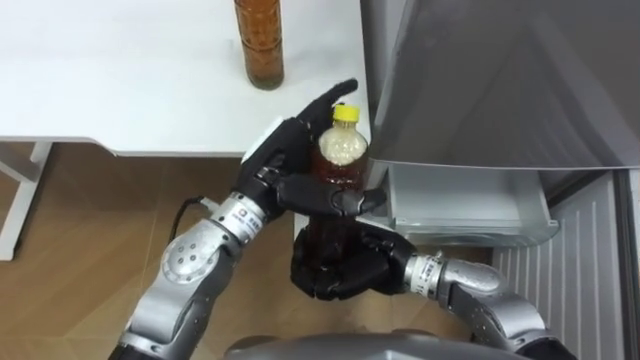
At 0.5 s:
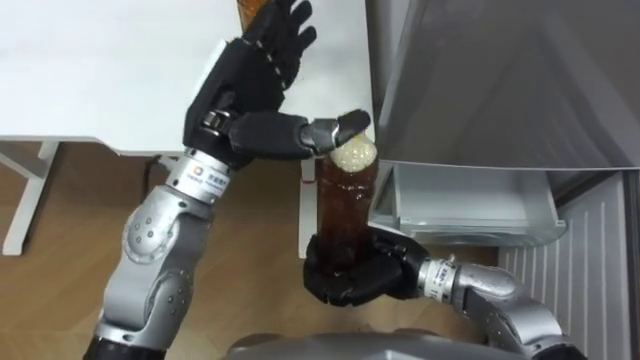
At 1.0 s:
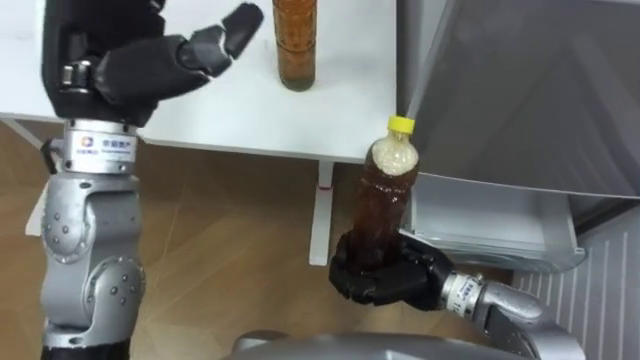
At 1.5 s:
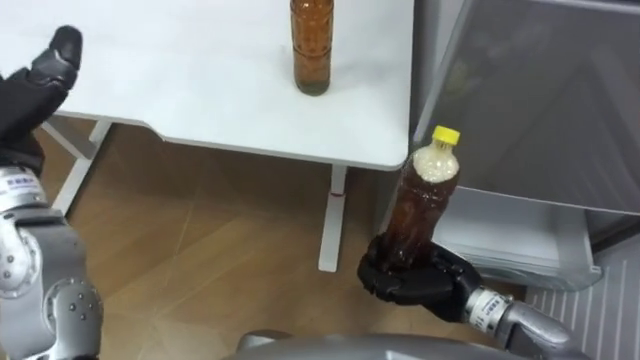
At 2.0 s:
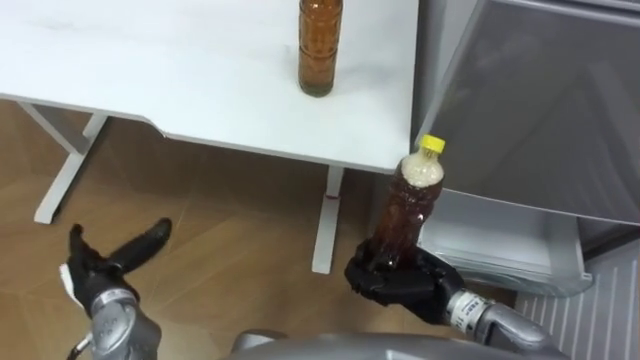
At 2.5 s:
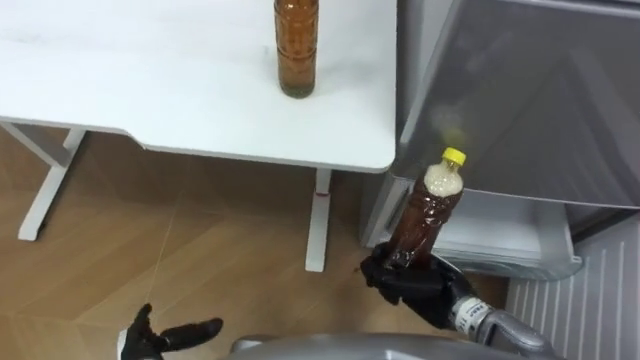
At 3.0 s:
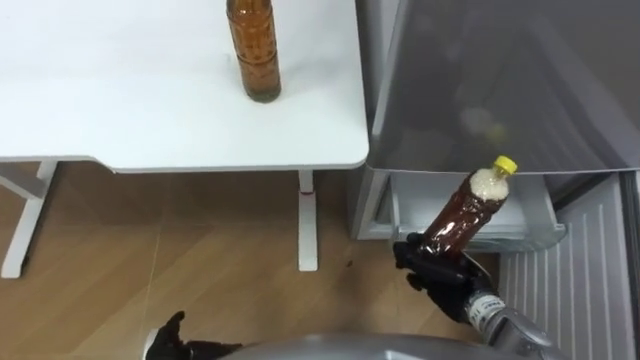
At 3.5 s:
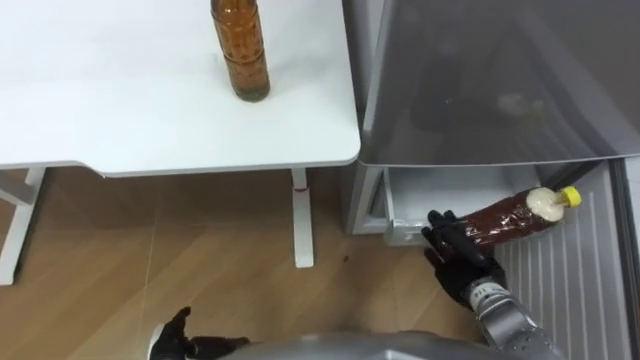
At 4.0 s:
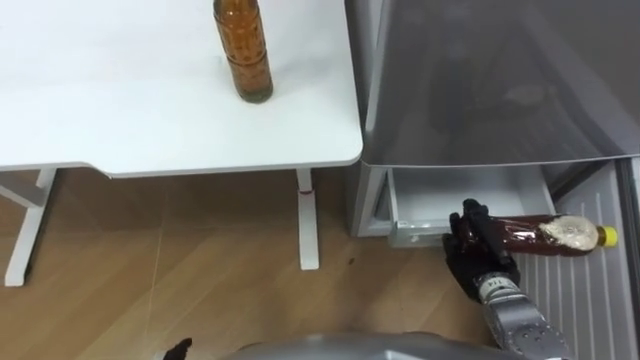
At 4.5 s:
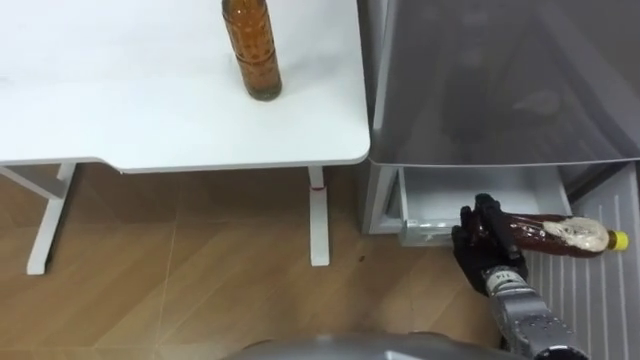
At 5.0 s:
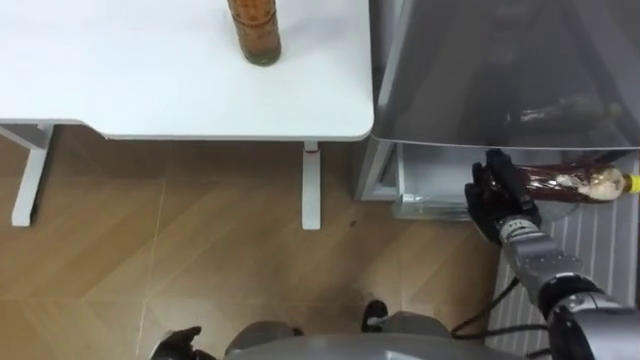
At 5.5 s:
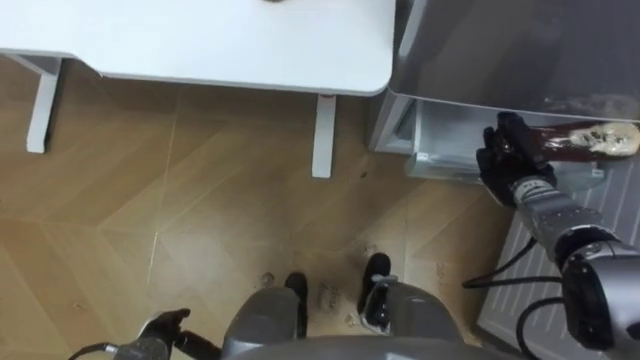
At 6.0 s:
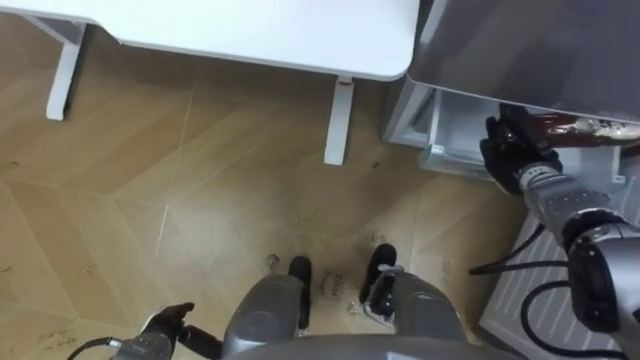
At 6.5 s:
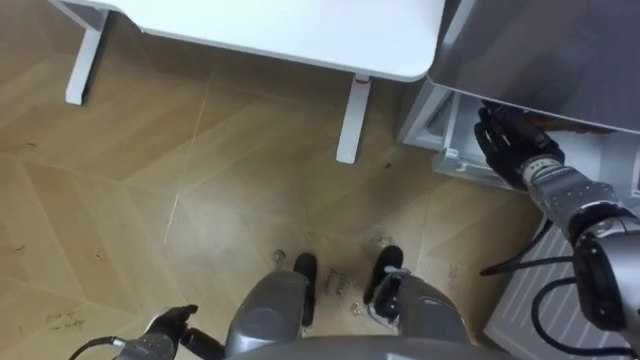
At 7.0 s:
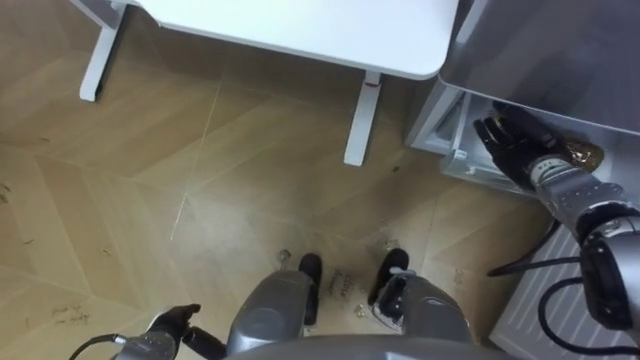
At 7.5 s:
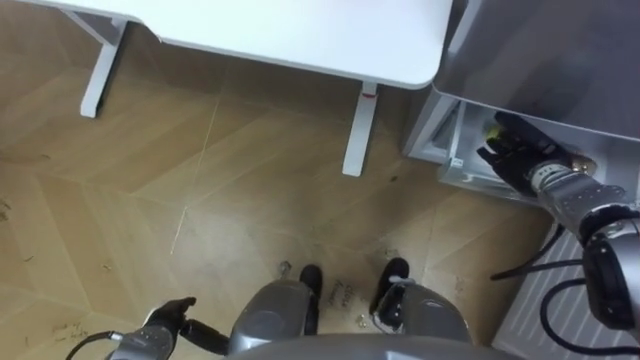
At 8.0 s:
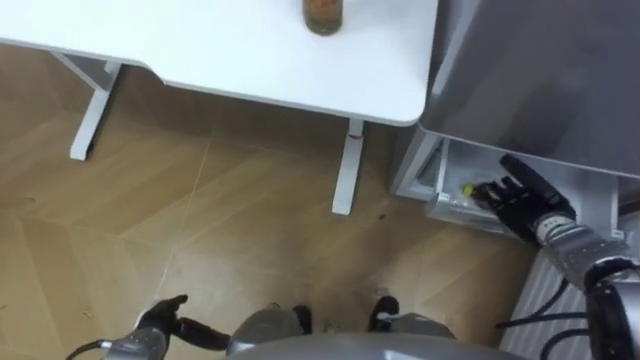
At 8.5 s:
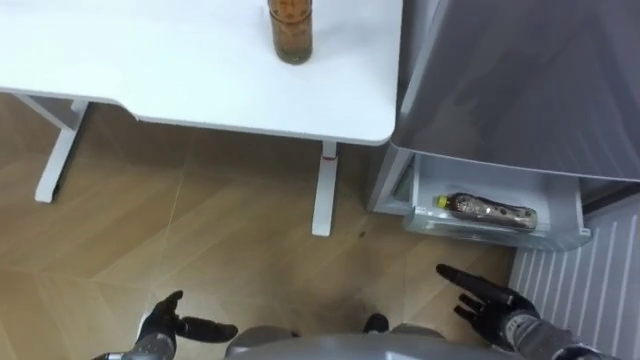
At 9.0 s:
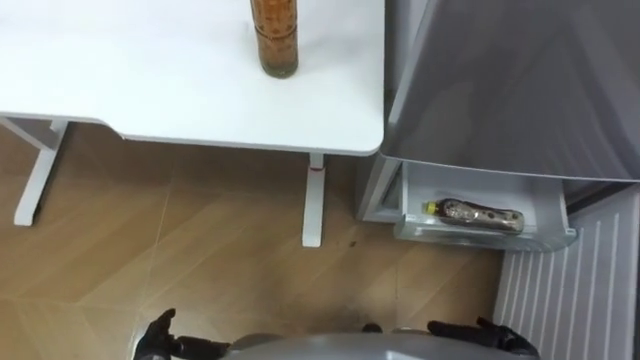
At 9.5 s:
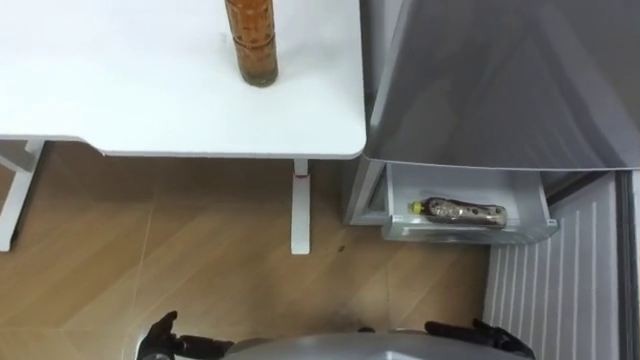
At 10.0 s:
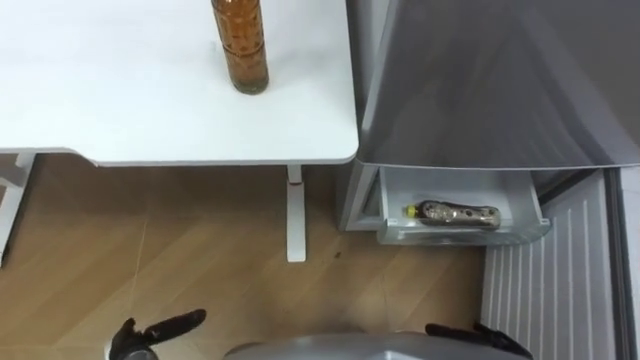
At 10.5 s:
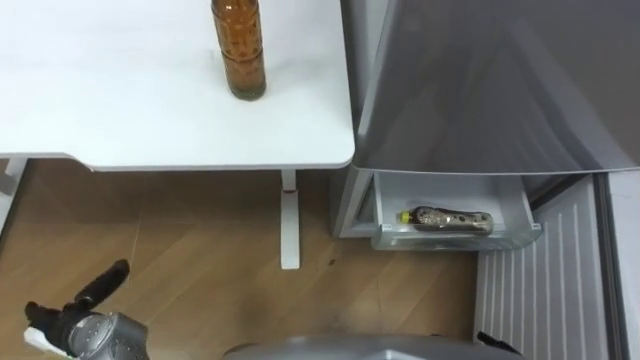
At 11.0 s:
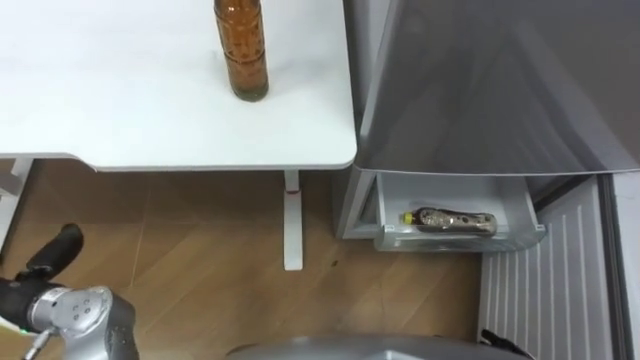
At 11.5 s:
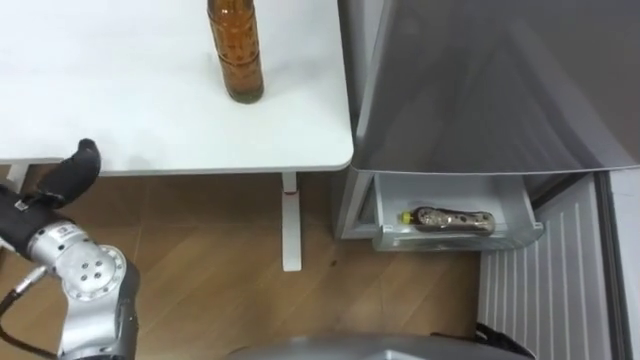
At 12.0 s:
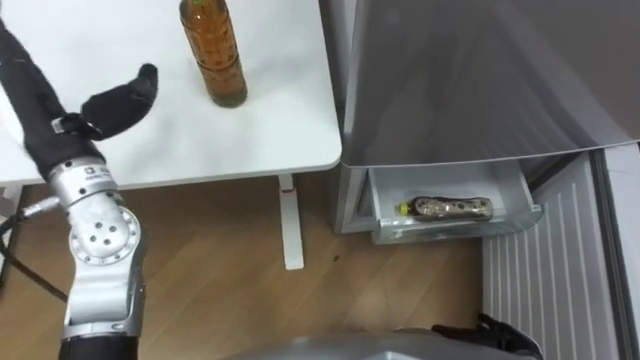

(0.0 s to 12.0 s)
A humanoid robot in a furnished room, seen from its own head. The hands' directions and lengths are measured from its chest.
Task of the whole recording: Place the drink on the table on the bottom shelf of the refrigerator, then close the drawer and the refrigerator door.
0.0 s - 2.0 s: The right hand heads to the right, covering about 10 cm.
2.0 s - 4.0 s: The right hand is displaced to the right and downward by about 10 cm.
4.0 s - 6.0 s: The right hand goes roughly 15 cm forward and upward.
6.0 s - 8.0 s: The right hand travels backward by approximately 5 cm, and opens.
10.0 s - 12.0 s: The left hand travels upward and forward by some 35 cm.

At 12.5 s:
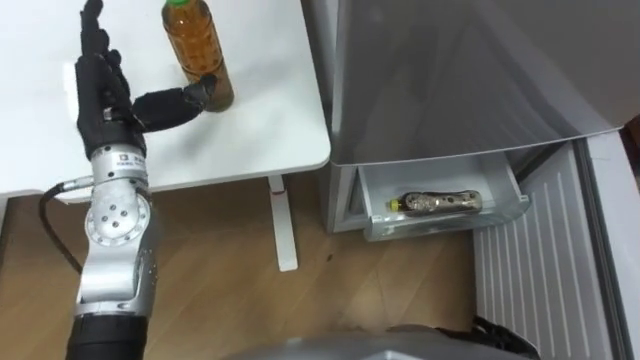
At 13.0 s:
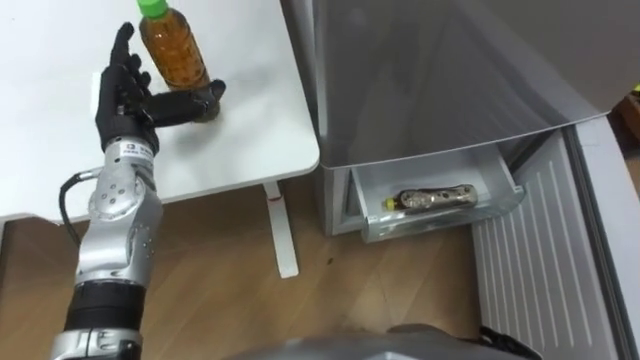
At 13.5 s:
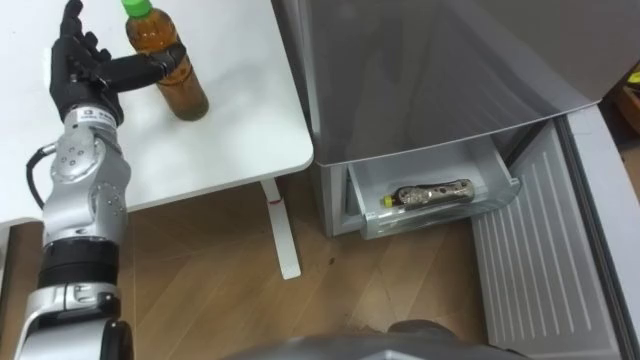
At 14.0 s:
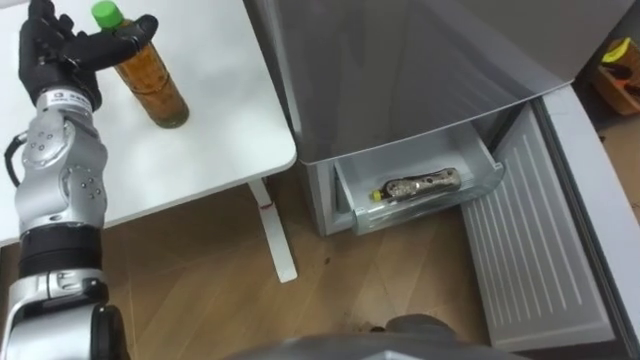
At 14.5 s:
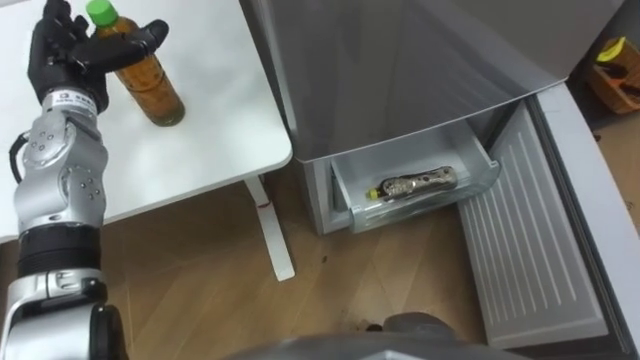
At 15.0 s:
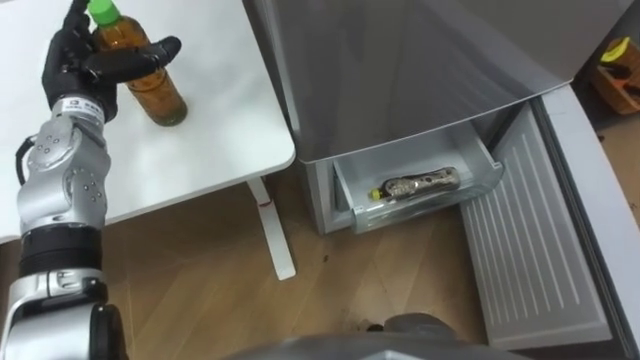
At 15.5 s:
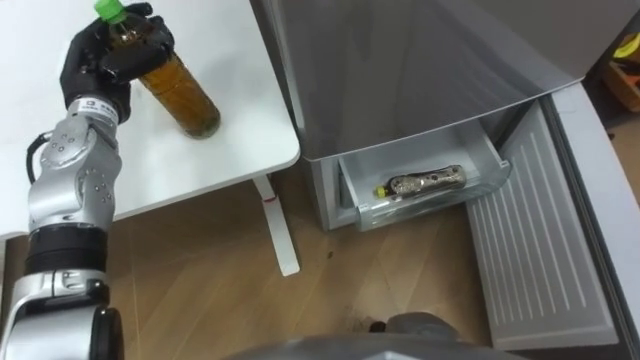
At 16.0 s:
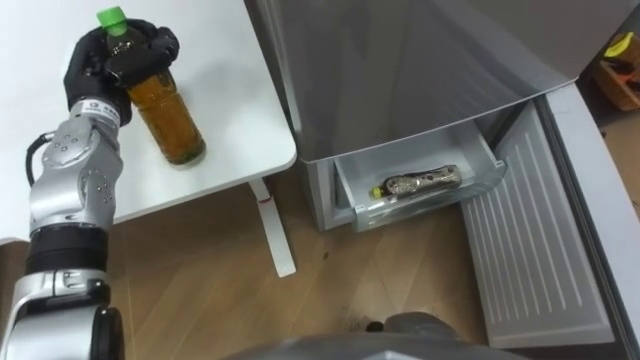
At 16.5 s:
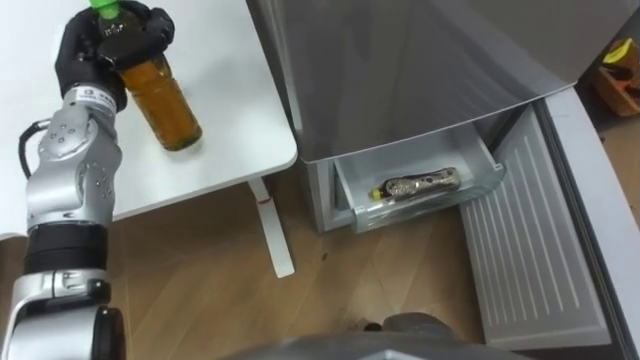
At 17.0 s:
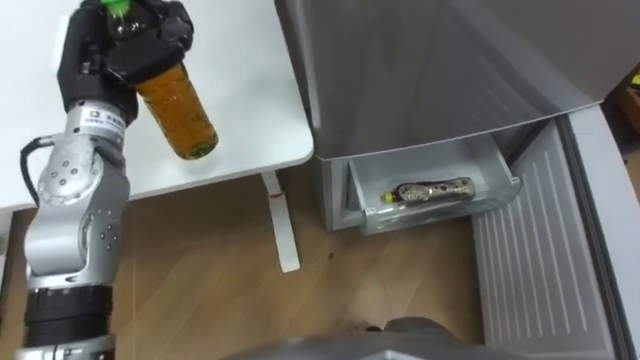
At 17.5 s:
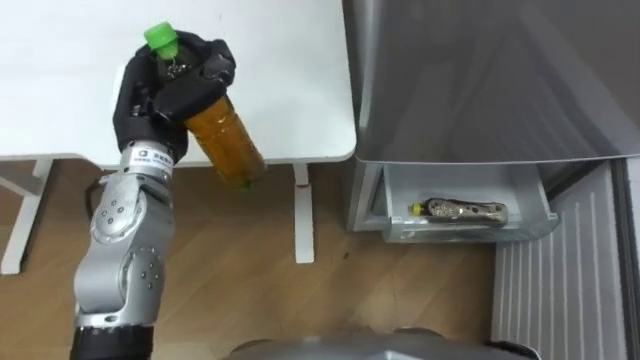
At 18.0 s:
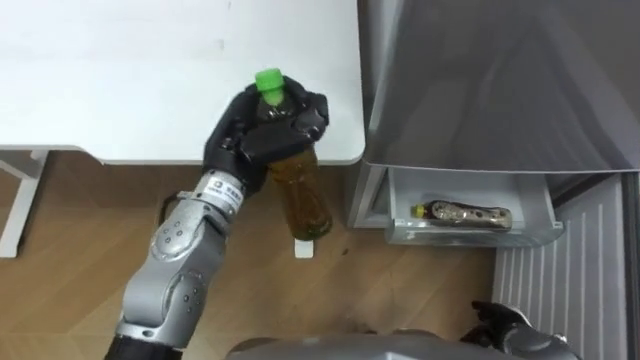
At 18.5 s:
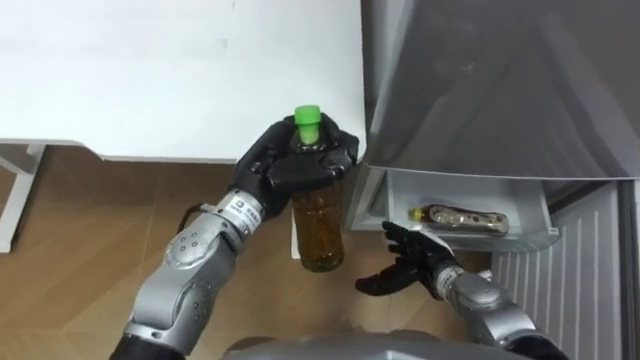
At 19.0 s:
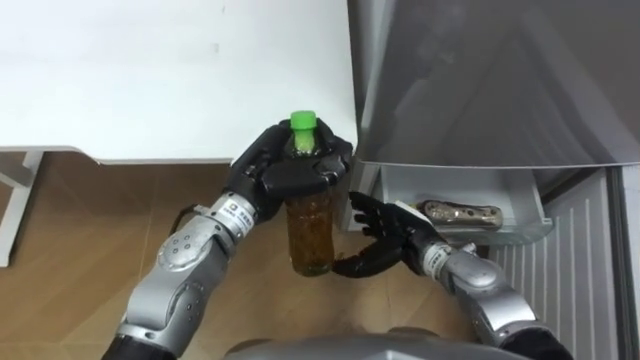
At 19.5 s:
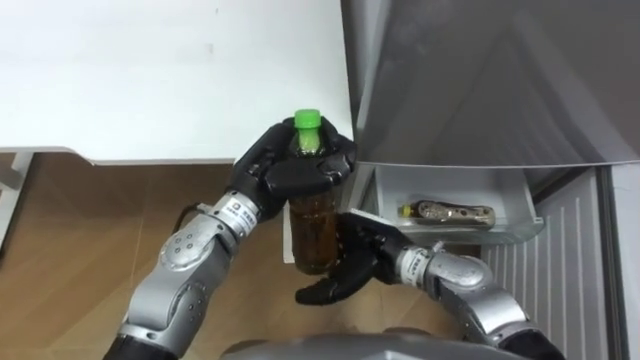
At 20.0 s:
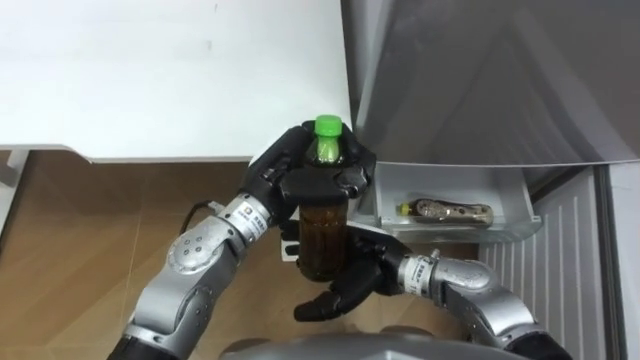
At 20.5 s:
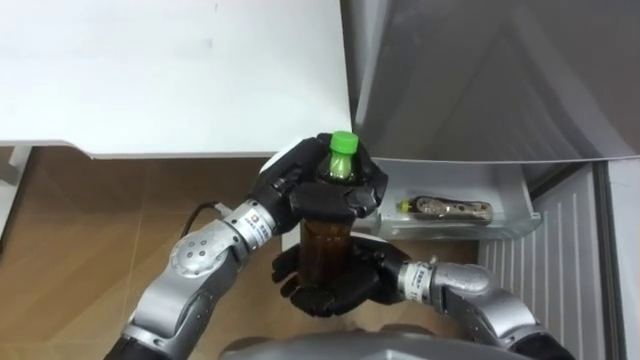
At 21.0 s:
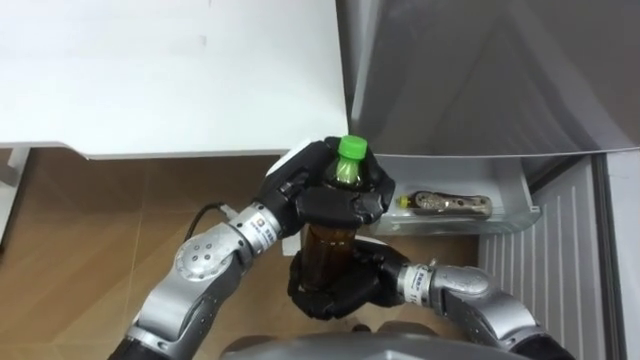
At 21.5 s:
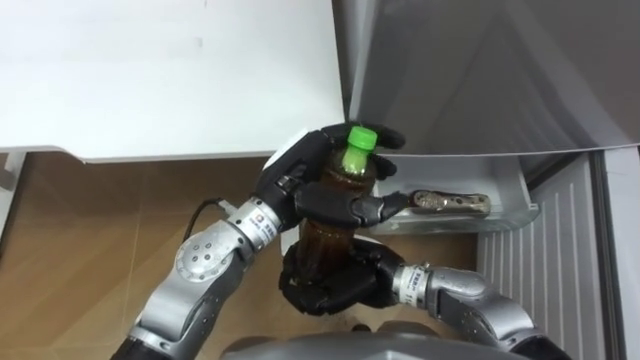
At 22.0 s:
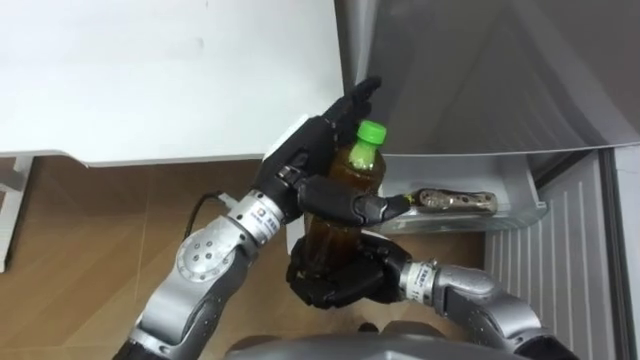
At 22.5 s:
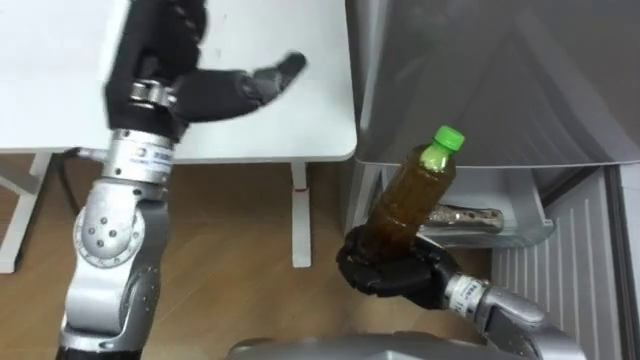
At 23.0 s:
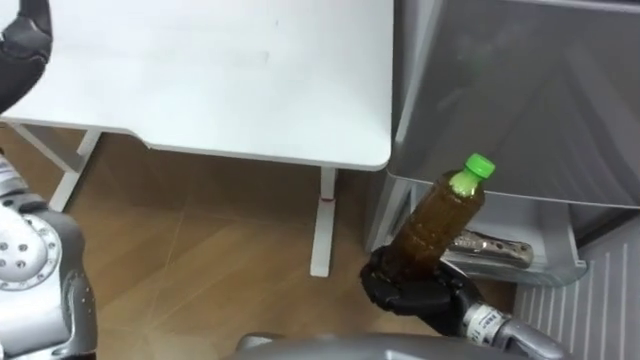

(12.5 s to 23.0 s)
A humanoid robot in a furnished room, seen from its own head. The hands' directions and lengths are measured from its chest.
Task of the whole recording: Place the drink on the table on the bottom shelf of the refrigerator, then close the drawer and the refrigerator door.
12.5 s - 14.5 s: The left hand shifts roughly 10 cm forward and to the left.
14.5 s - 16.5 s: The left hand closes.
16.5 s - 19.0 s: The left hand goes some 20 cm to the right and backward.
19.0 s - 21.0 s: The right hand goes roughly 5 cm to the left, and closes its fingers.
21.0 s - 23.0 s: The right hand travels to the right by about 10 cm.
